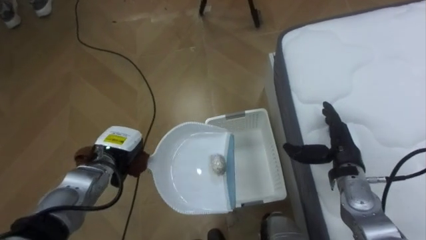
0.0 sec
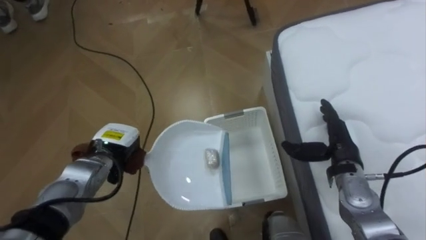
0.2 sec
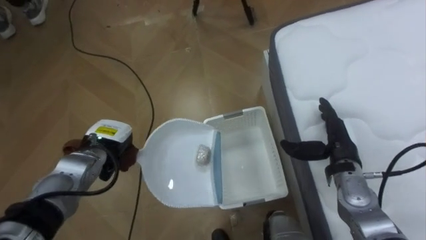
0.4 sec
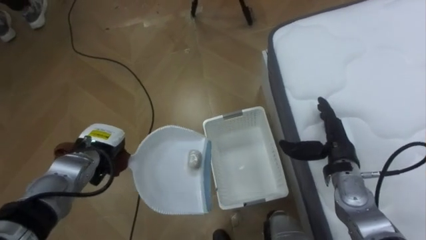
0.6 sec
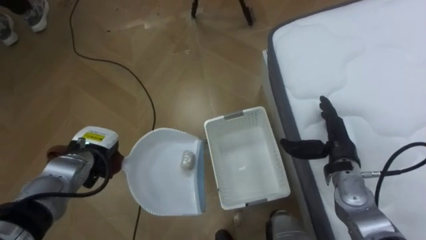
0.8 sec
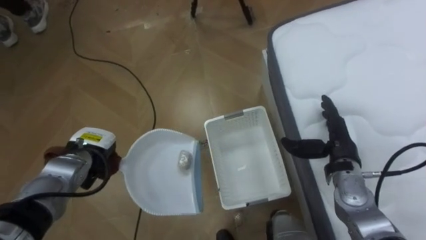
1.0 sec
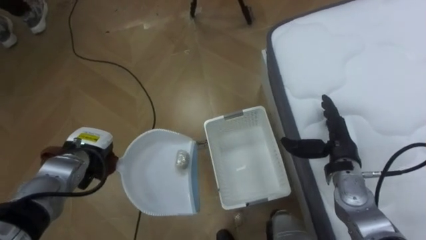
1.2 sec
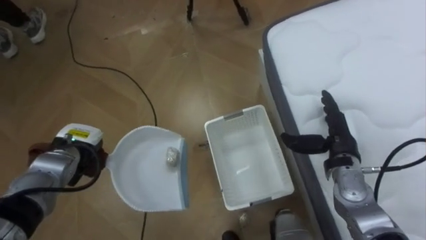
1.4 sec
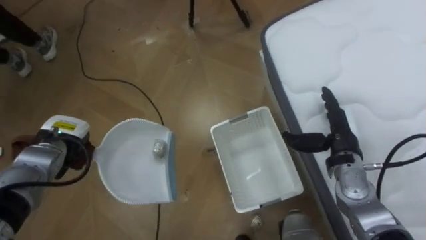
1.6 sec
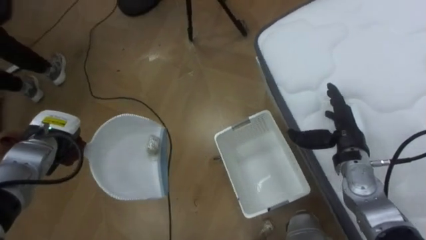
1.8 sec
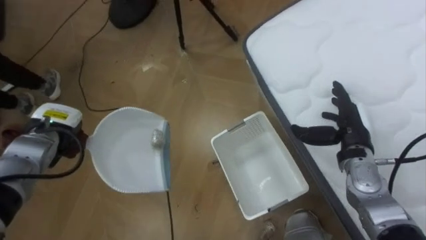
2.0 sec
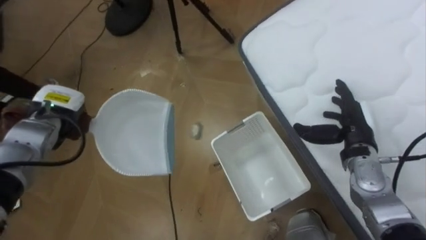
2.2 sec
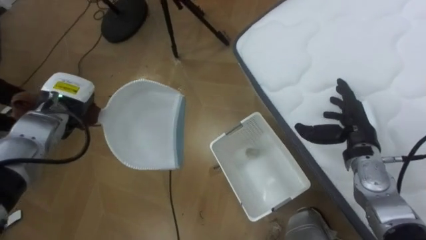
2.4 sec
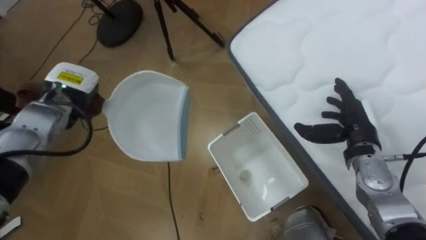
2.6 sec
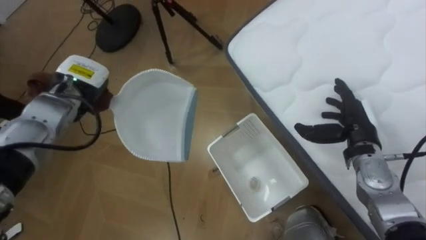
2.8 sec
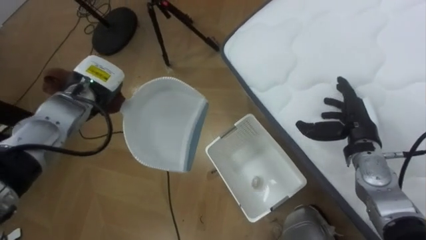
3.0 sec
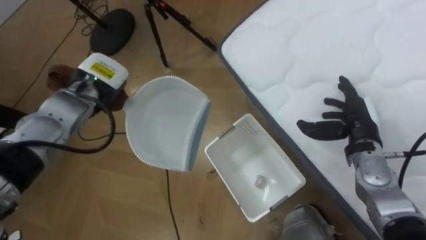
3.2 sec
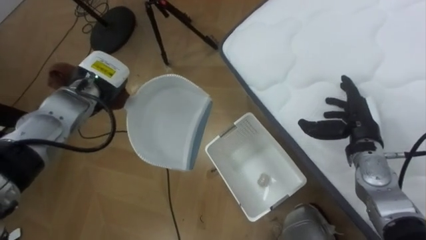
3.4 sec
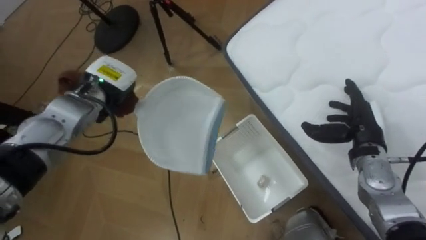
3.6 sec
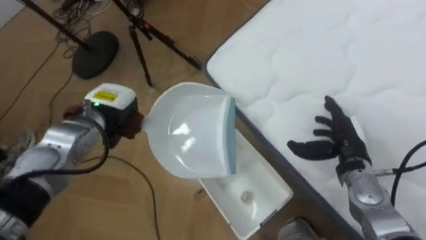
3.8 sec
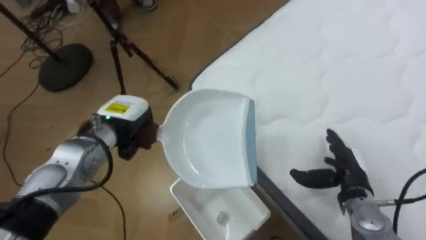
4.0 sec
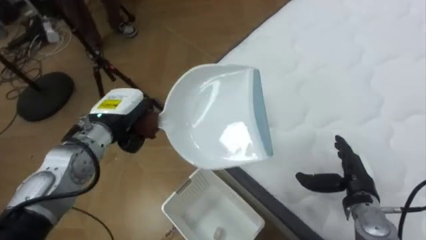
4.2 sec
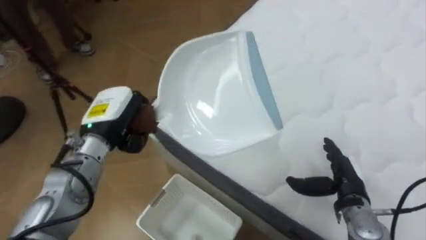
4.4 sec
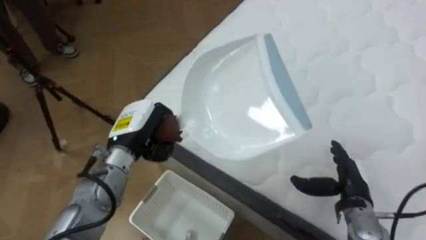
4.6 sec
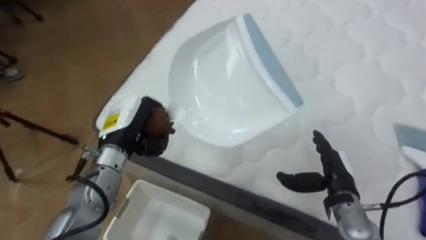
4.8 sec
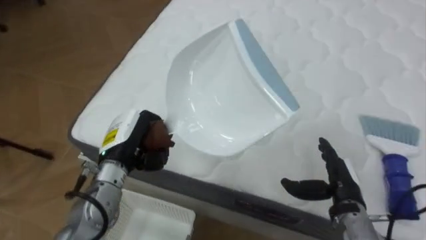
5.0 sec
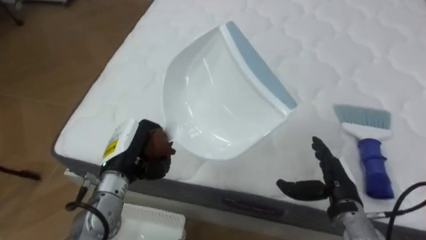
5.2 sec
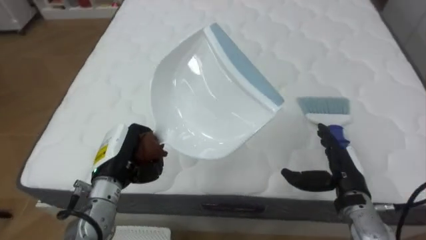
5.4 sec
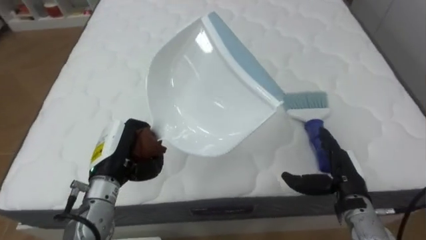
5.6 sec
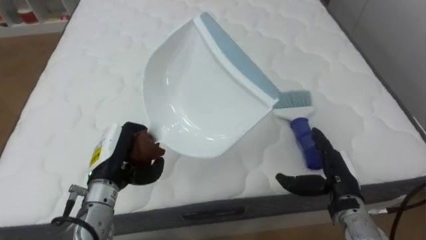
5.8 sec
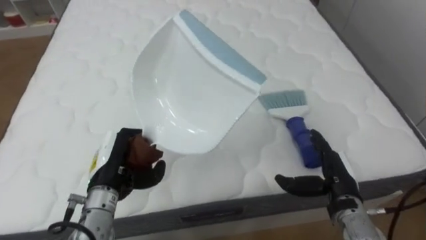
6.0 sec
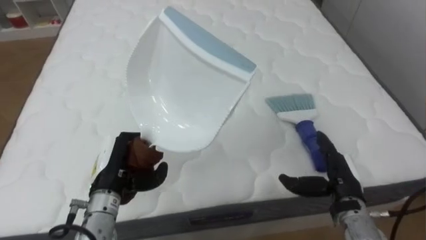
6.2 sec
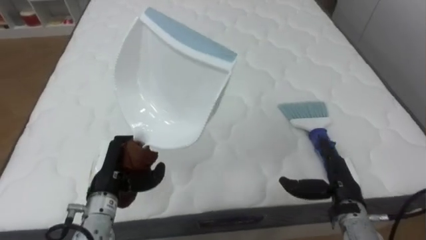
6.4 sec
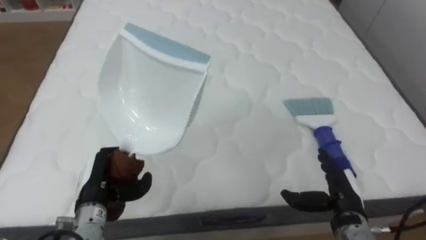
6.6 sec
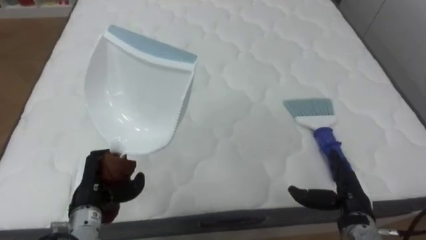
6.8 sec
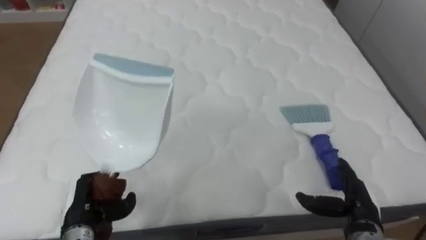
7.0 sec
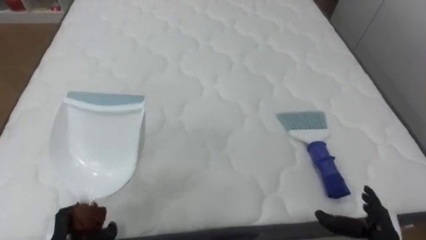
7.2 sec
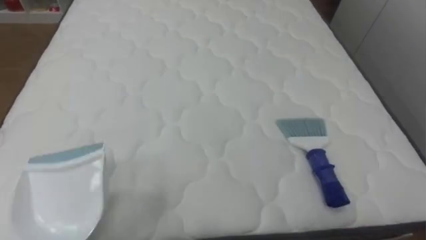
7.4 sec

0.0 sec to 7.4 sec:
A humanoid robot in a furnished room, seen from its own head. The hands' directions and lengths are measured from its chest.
Task of the whole recording: Pick up the brush on your right and the dustpan on your left. Use the brush to sweep the crumpled paper on the bed into the dustpan, then turn left and empty it into the basket.
0.0 sec to 1.4 sec: The left hand is displaced to the left by roughly 10 cm.
1.4 sec to 3.0 sec: The left hand travels upward, forward and to the right by approximately 15 cm.
3.0 sec to 4.4 sec: The robot's body swings some 40 degrees to its right. The right hand shifts roughly 10 cm backward and downward; the left hand travels backward by about 5 cm.
4.4 sec to 6.0 sec: The robot's body swings approximately 50 degrees to its right. The left hand goes roughly 10 cm backward and downward.

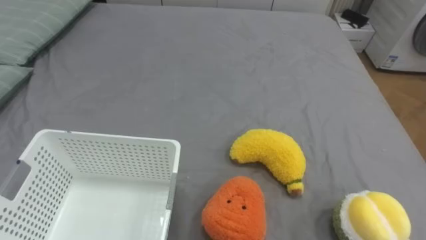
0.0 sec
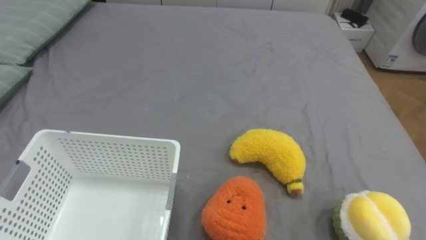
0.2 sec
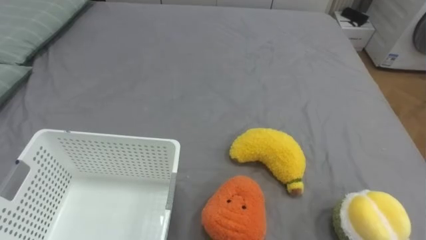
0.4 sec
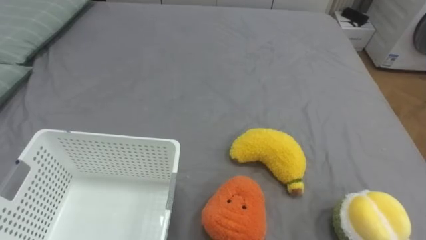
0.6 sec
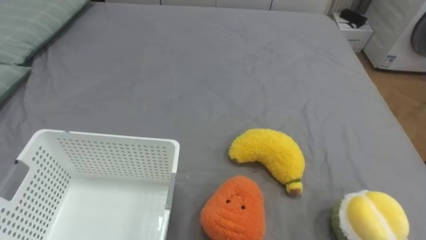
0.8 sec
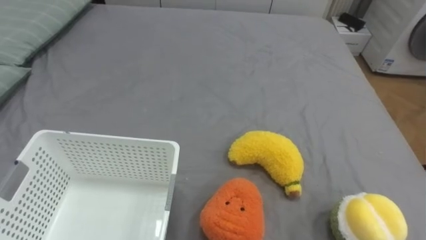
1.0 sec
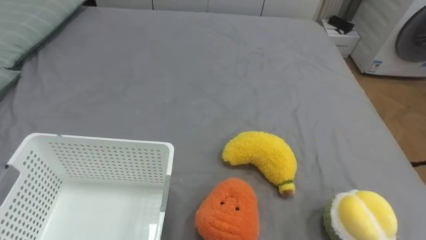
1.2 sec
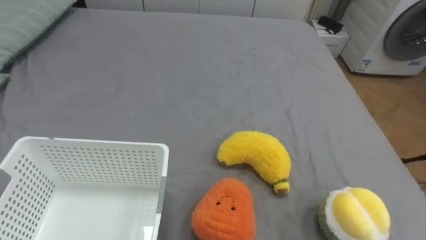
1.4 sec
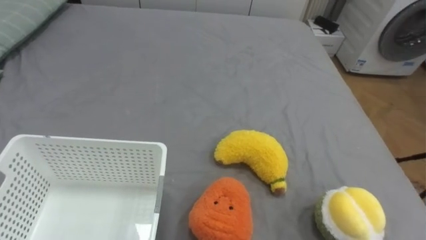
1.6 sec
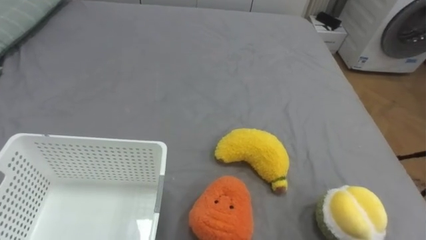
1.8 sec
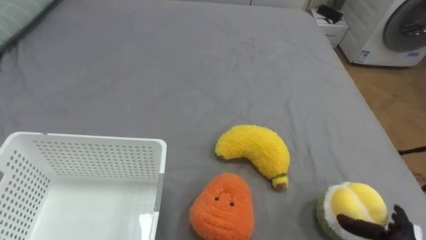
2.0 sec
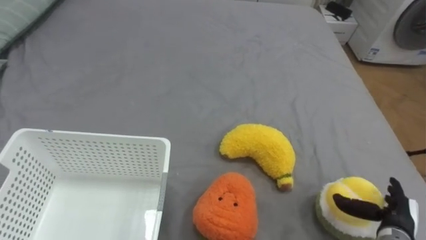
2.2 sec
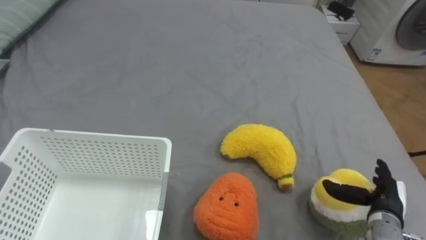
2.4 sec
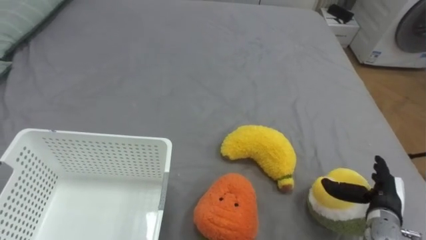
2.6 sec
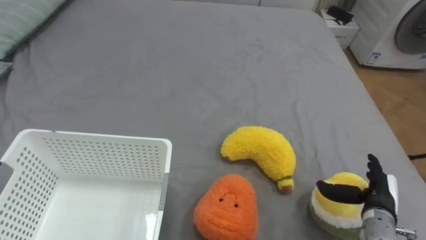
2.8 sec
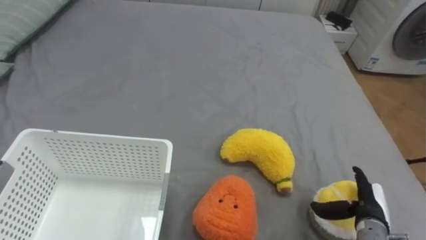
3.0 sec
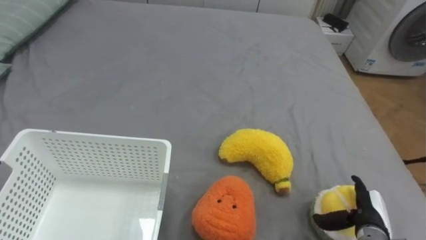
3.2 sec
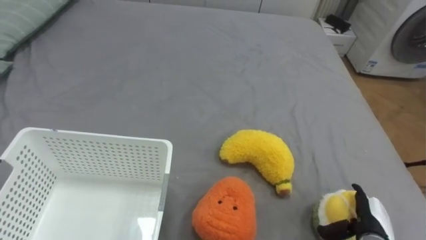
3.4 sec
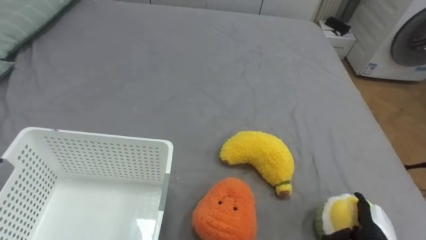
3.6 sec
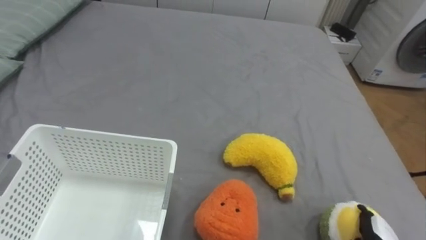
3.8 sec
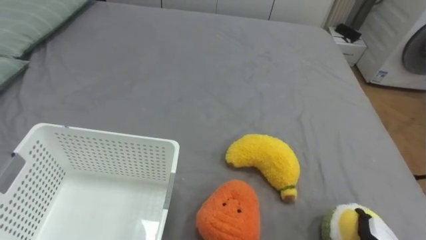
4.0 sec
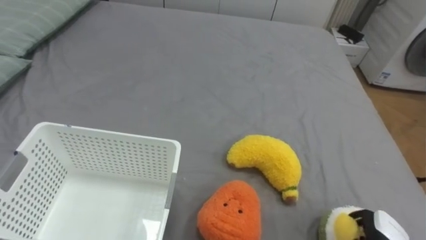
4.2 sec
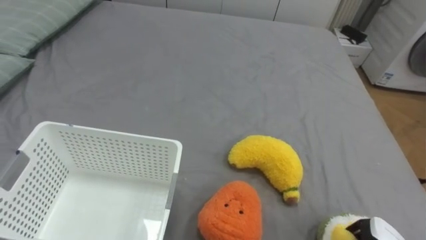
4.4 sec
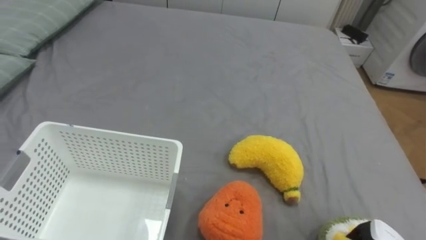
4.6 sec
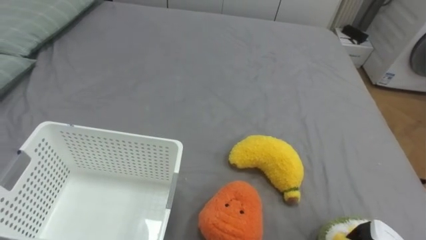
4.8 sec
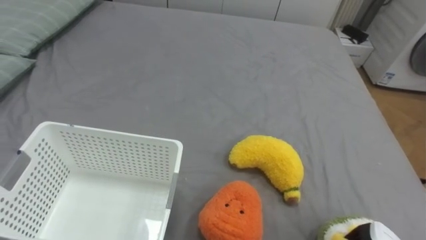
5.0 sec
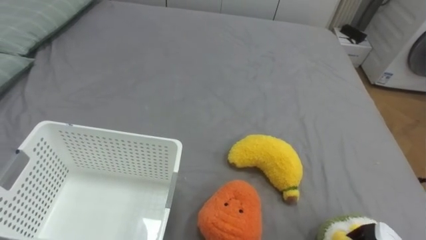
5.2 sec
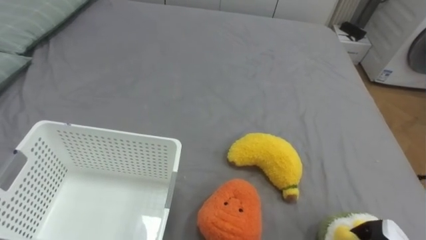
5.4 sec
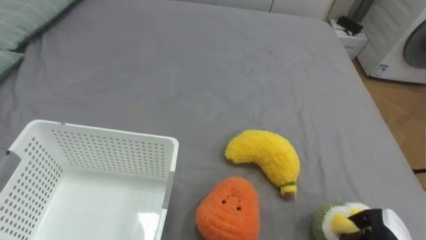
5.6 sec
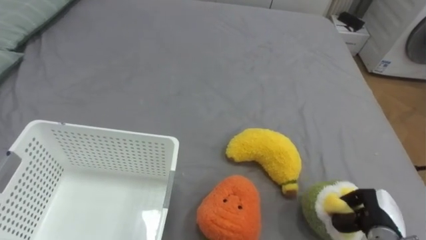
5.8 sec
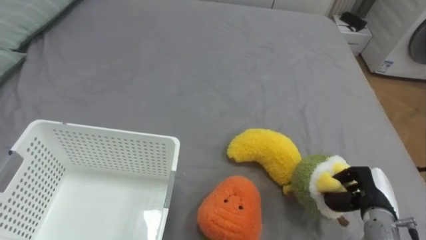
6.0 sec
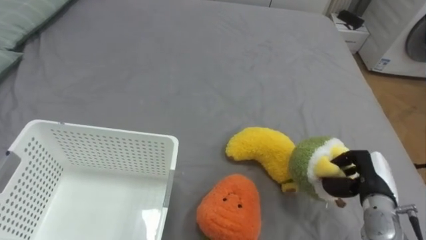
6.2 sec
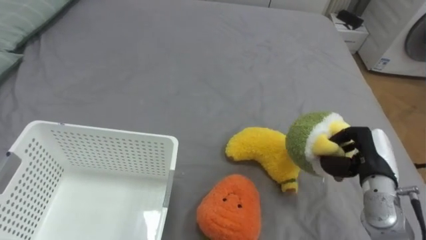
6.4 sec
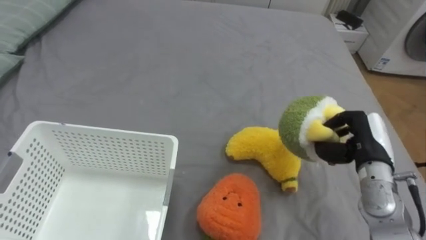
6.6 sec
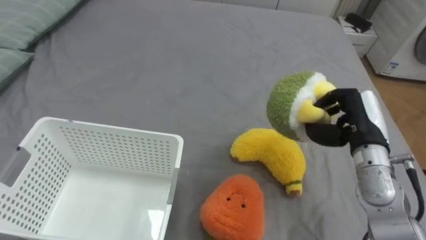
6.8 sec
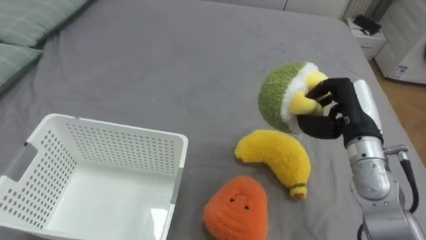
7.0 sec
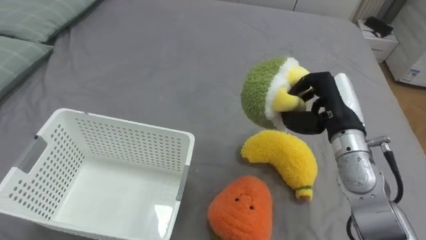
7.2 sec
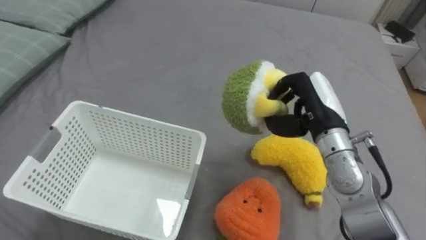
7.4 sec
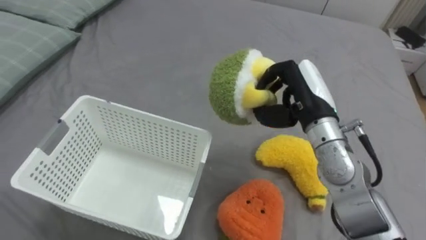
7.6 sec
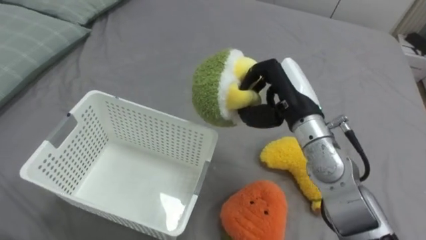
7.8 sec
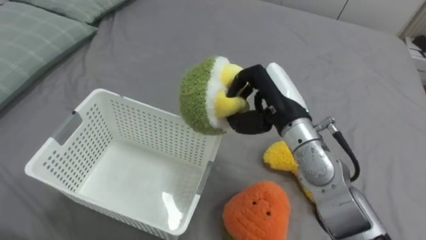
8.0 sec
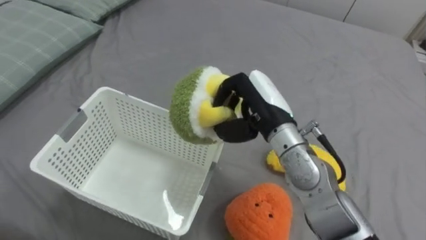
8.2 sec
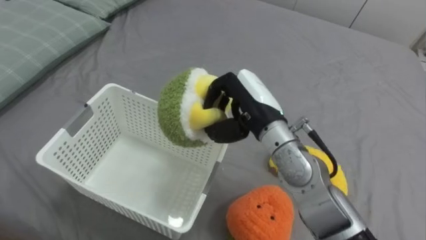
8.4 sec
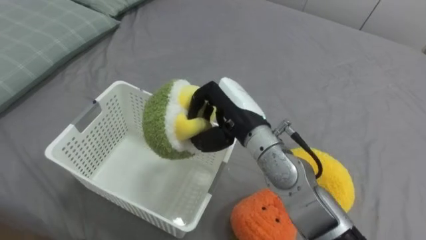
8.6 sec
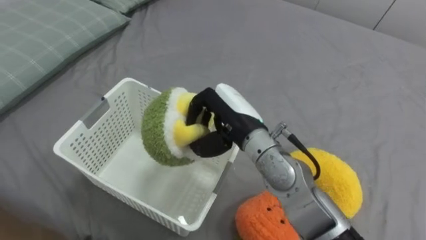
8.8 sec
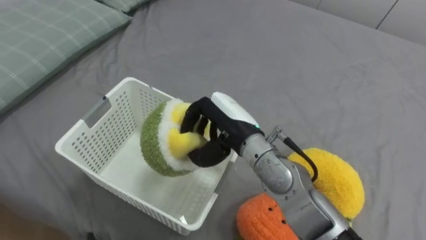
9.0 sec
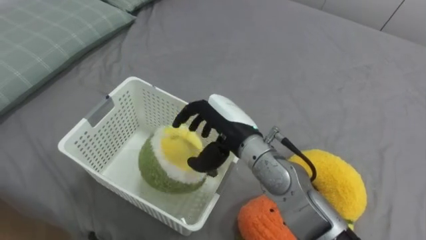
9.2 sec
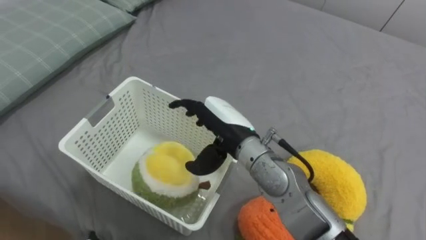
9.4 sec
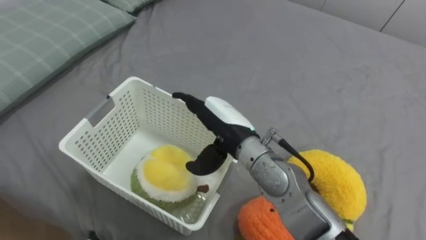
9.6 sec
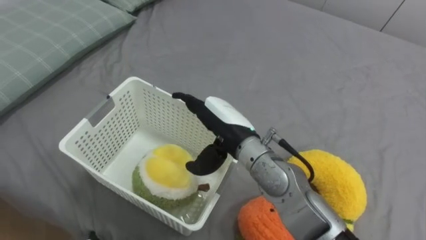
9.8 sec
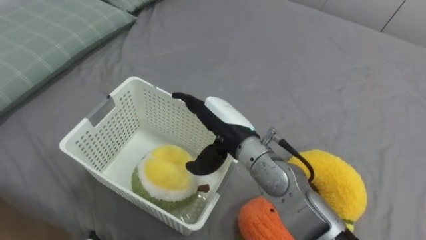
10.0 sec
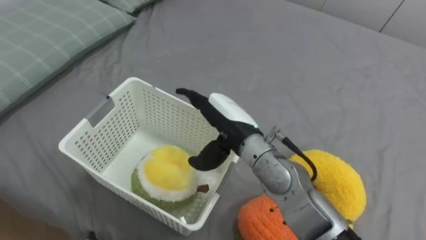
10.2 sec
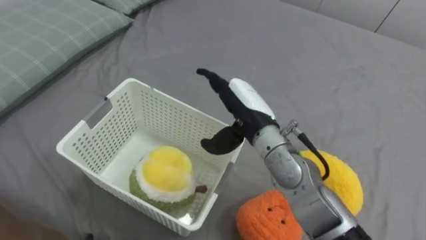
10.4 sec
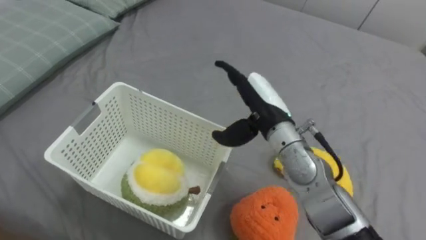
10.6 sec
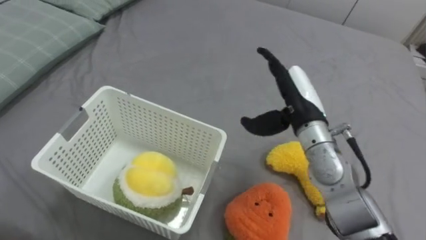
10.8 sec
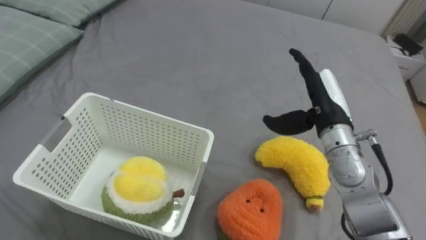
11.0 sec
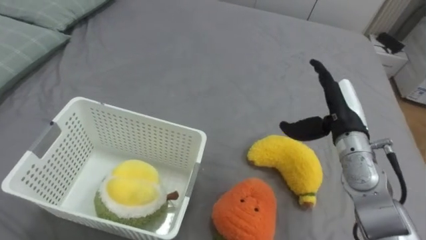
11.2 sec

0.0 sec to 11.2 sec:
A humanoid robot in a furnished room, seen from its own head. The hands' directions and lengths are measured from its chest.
Task of the whole recording: Put the toys on the bed into the basket on the left.
6.4 sec to 8.0 sec: The right hand goes about 20 cm to the left and upward.
8.0 sec to 9.6 sec: The right hand travels to the left by roughly 10 cm, and opens up.
9.6 sec to 11.2 sec: The right hand goes about 20 cm to the right.
